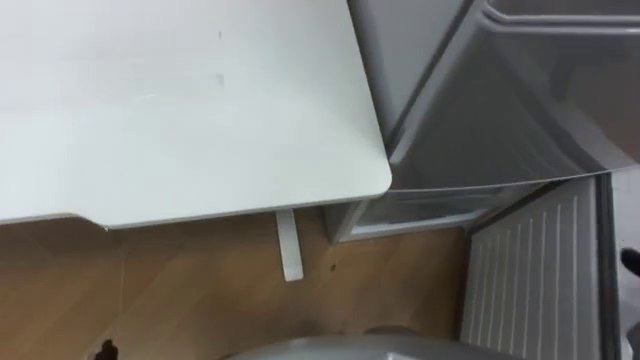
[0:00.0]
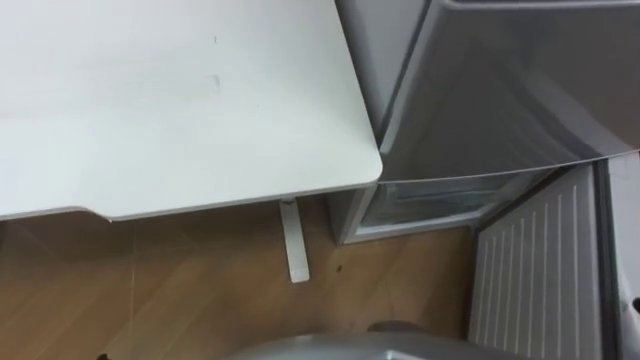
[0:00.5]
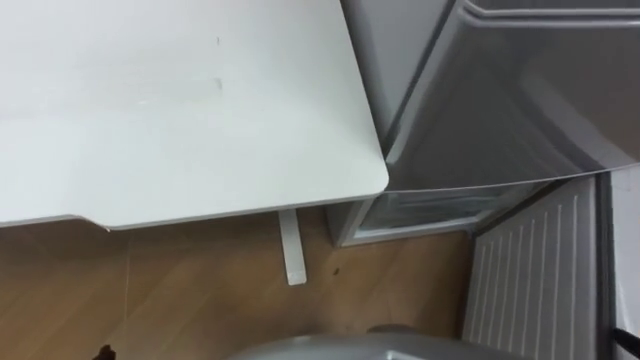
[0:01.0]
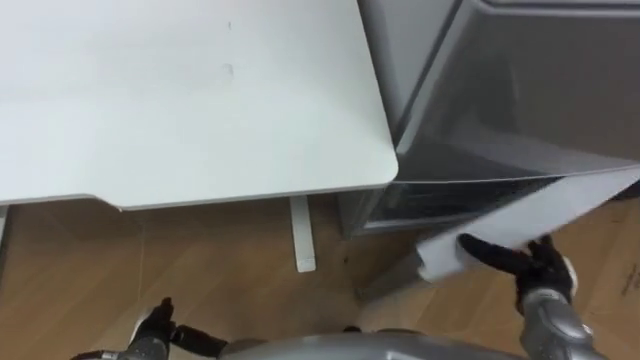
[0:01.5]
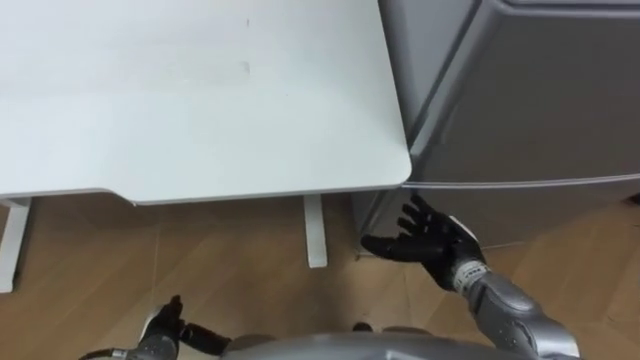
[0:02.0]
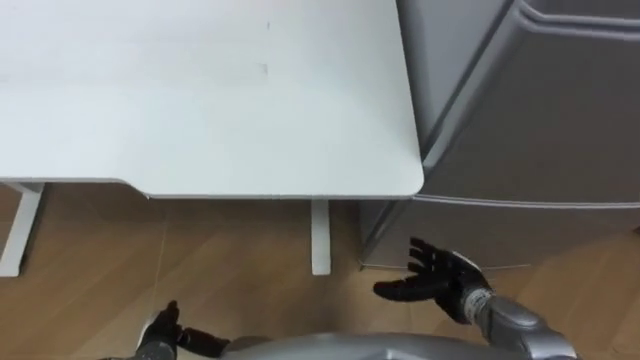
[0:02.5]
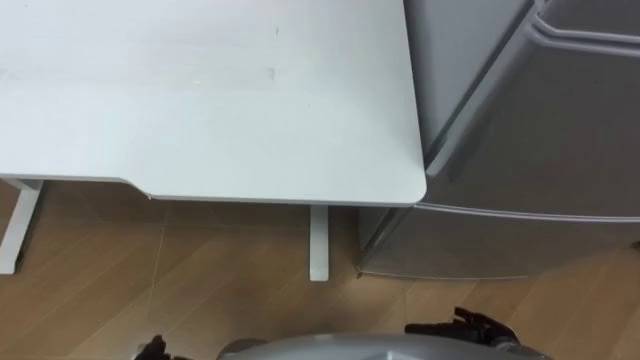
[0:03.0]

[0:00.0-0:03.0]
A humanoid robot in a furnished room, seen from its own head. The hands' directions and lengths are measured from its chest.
Task of the whole recording: Place the drink on the table on the bottom shelf of the refrigerator, then close the drawer and the refrigerator door.
0:01.5 to 0:03.0: The right hand travels to the left, backward and downward by some 10 cm.

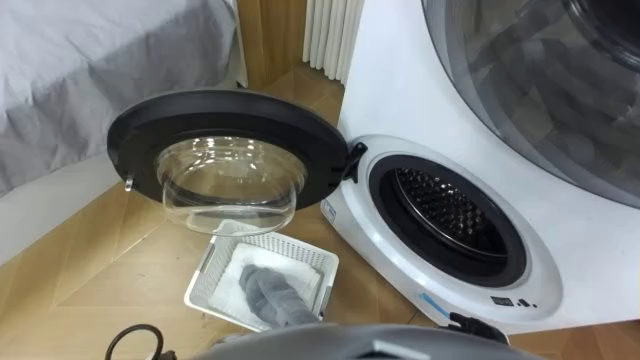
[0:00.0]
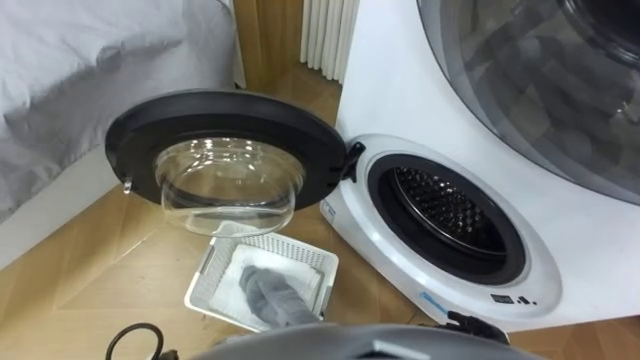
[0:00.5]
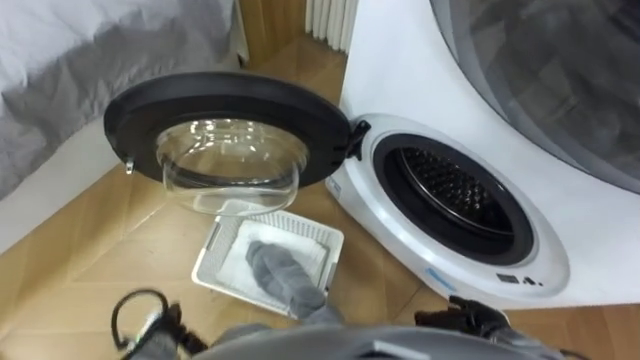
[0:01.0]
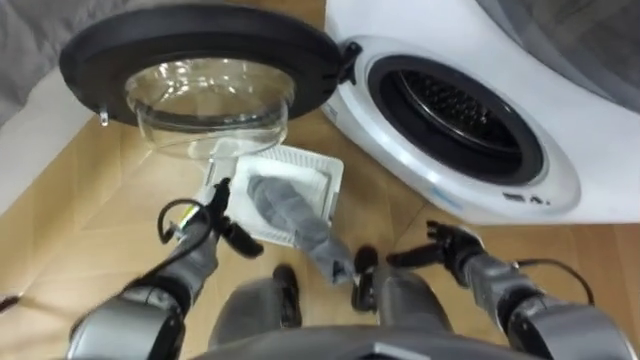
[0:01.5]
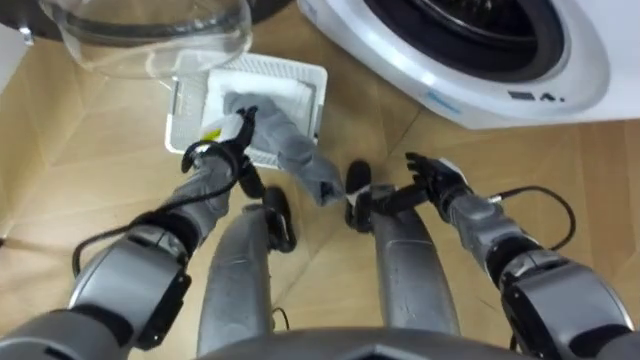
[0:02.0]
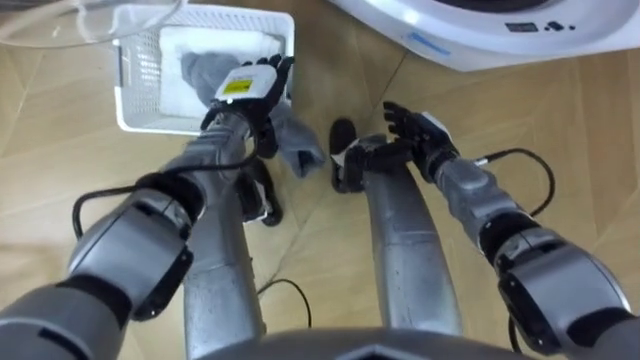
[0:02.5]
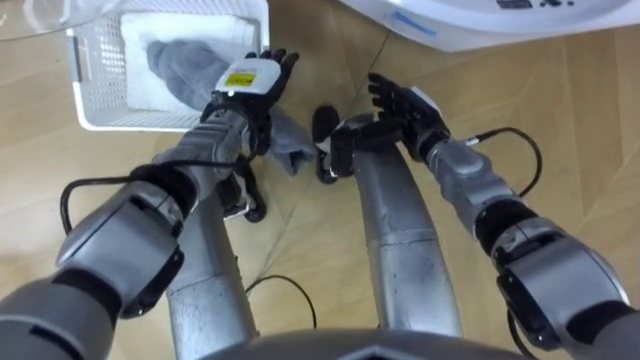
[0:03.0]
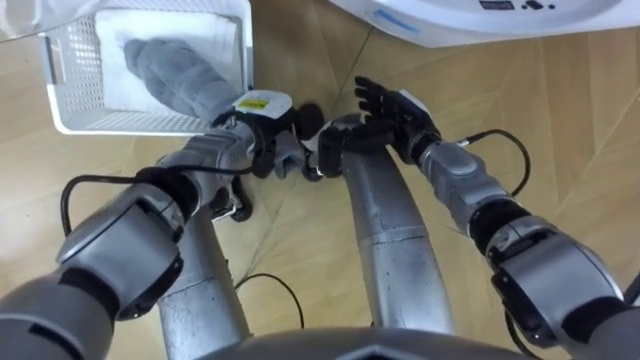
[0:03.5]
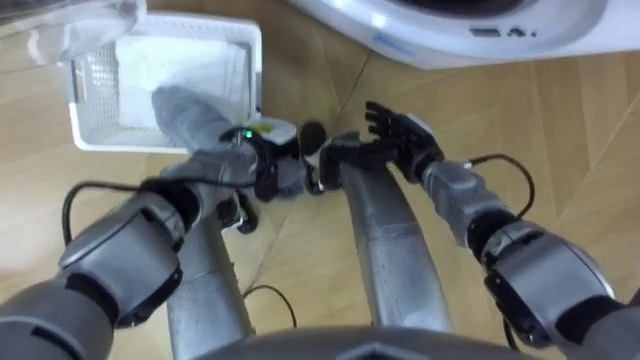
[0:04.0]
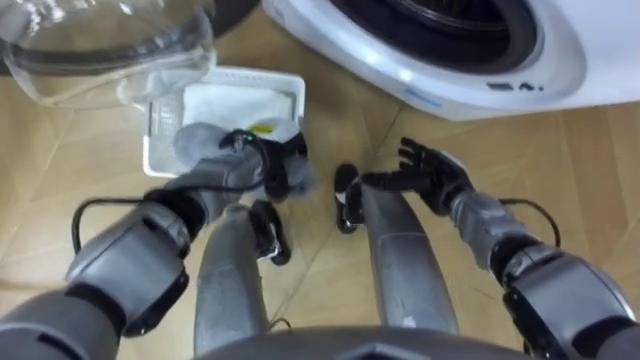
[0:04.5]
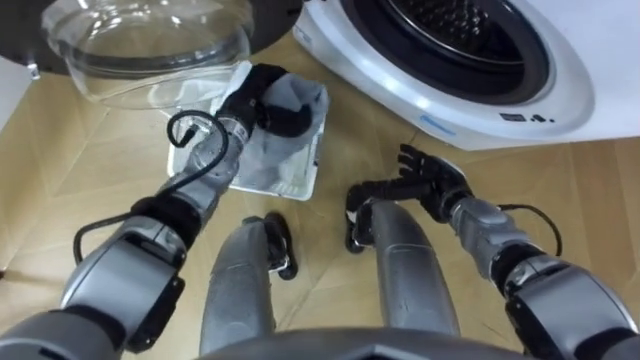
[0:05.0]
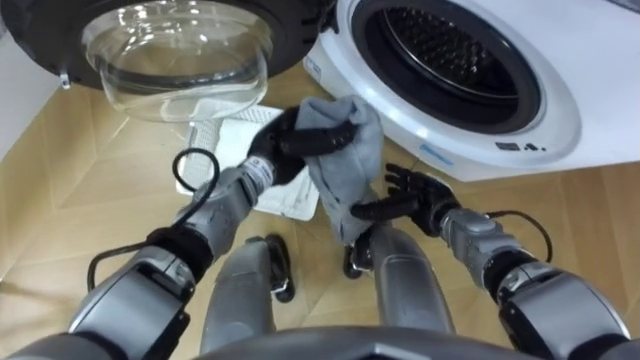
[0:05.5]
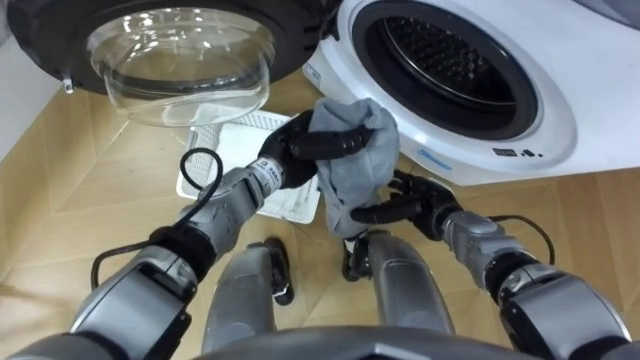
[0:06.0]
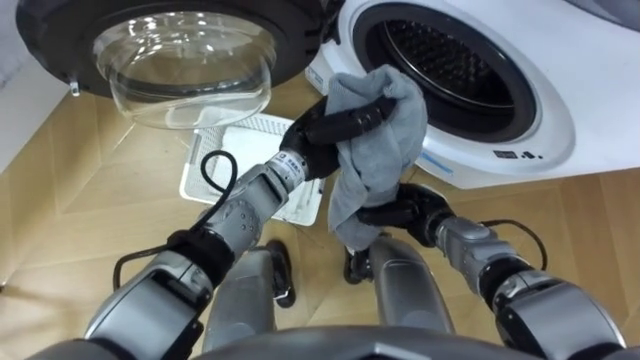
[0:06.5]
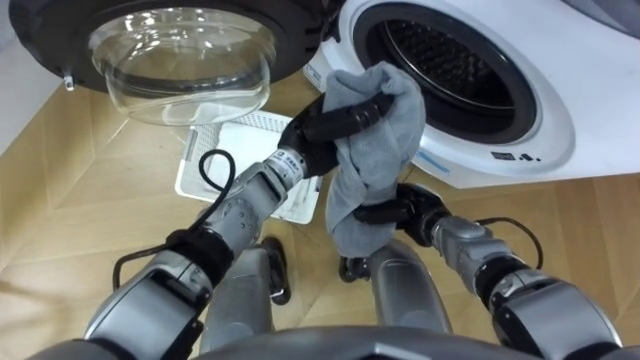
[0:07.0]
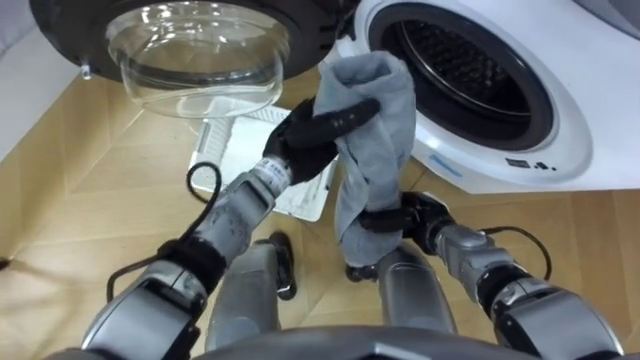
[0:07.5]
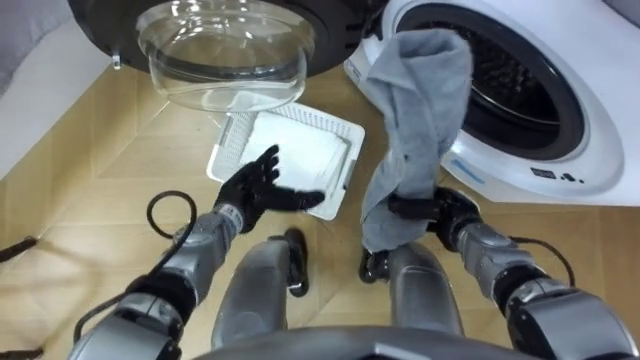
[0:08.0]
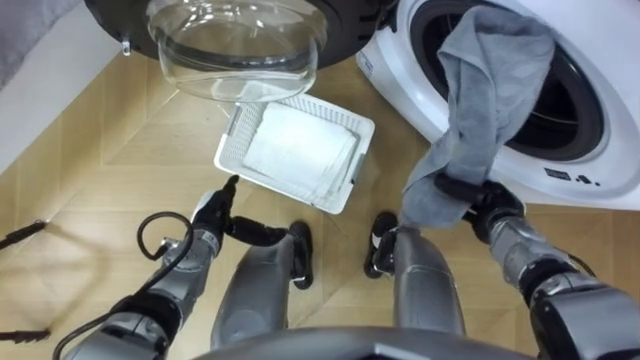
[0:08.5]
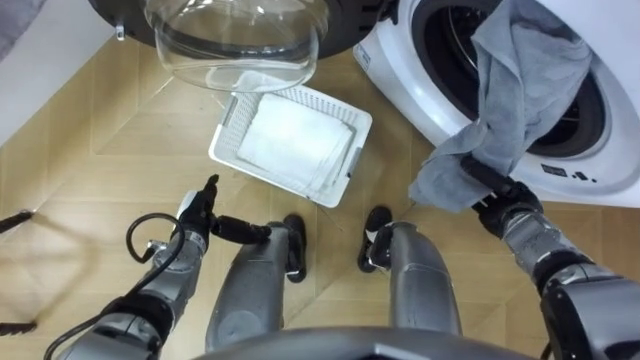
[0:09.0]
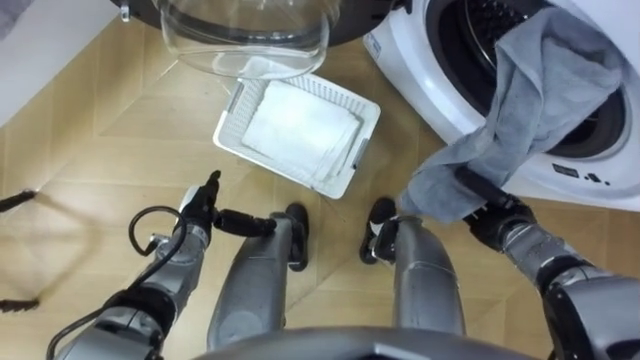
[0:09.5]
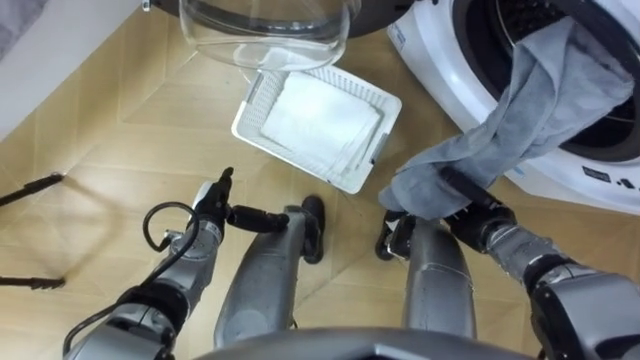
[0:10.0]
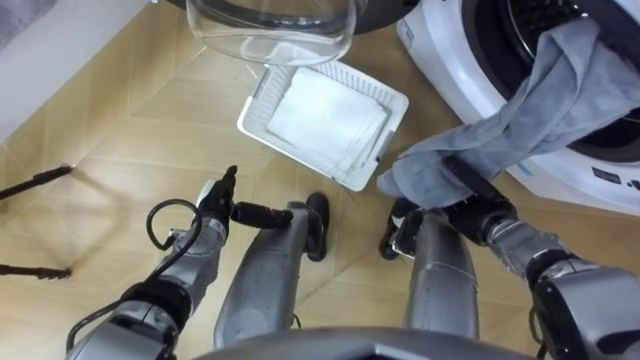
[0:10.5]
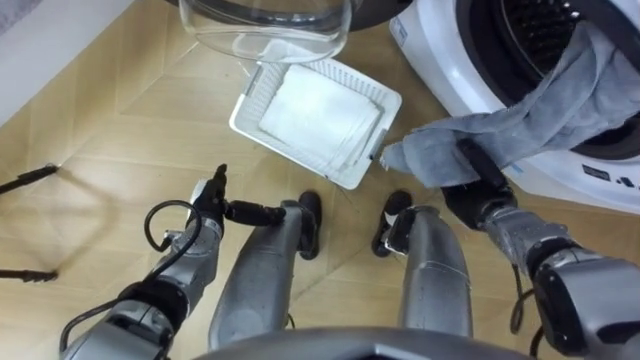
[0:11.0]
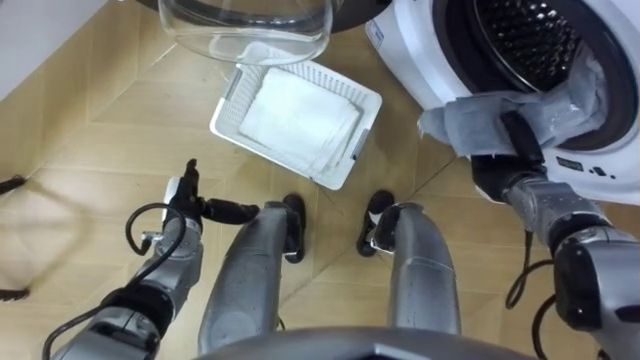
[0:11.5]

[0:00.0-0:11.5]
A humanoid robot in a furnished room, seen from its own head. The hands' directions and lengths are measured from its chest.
Task of the whole recording: Take the towel from the basket and put it into the washing machine.
0:02.0 to 0:04.0: The right hand moves to the left, some 5 cm, while the left hand heads to the right, covering roughly 5 cm, and closes.
0:04.0 to 0:06.0: The left hand travels to the right by some 5 cm. The right hand moves backward and downward, some 10 cm.
0:06.0 to 0:07.5: The right hand closes, while the left hand opens up.
0:07.5 to 0:09.5: The left hand travels to the left, downward and backward by about 20 cm, and opens its fingers; the right hand travels to the right by about 10 cm.
0:09.5 to 0:11.5: The right hand heads forward, covering roughly 5 cm.

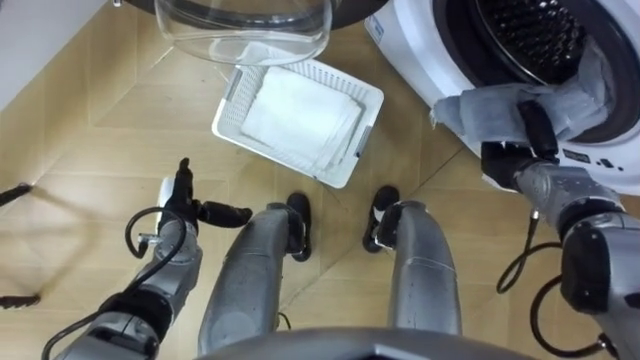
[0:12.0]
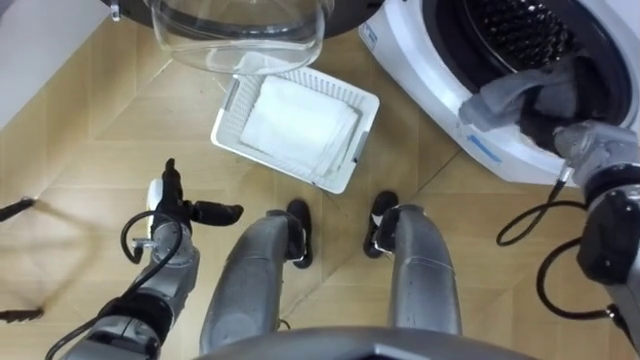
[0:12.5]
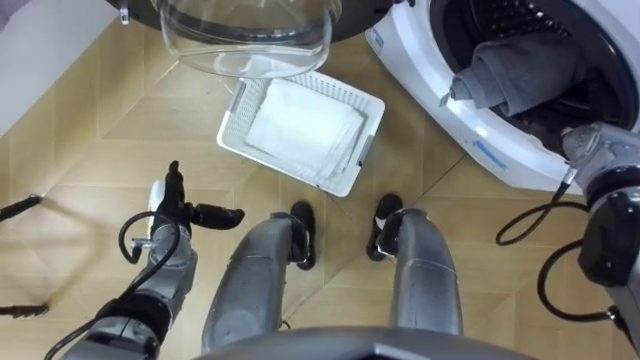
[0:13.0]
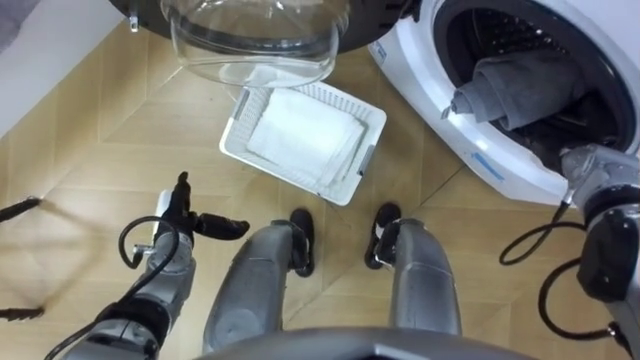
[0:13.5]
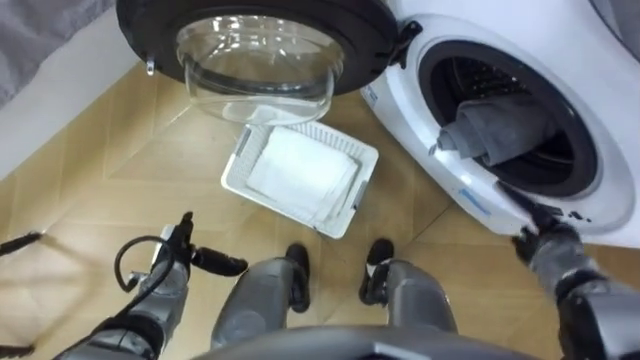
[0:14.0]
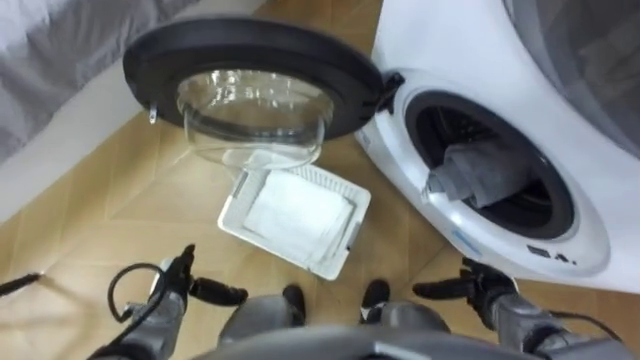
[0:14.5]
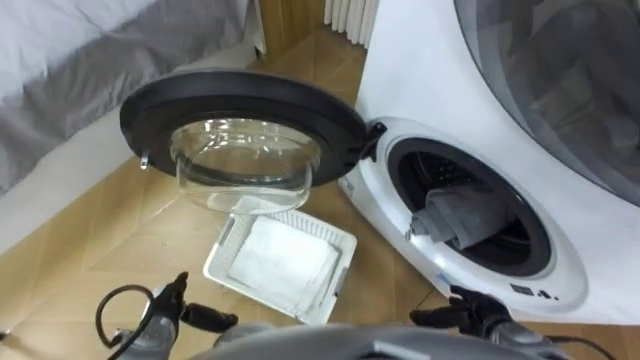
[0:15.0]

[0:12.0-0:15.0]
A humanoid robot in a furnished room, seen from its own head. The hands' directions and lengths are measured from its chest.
Task of the whole recording: Take the towel from the basket and put it into the washing machine.
0:12.0 to 0:13.5: The right hand travels to the right by roughly 5 cm, and opens its fingers.
0:13.5 to 0:15.0: The left hand heads backward and downward, covering some 15 cm. Meanwhile the right hand is displaced backward, downward and to the left by some 30 cm.
